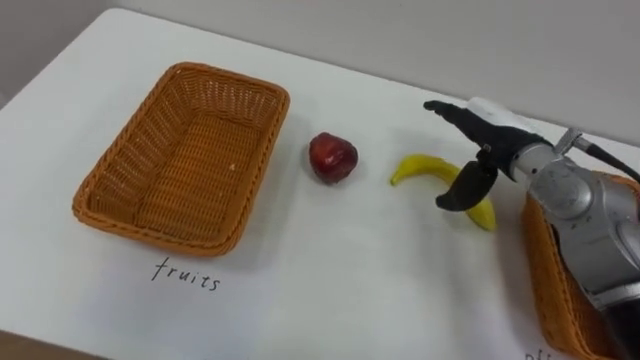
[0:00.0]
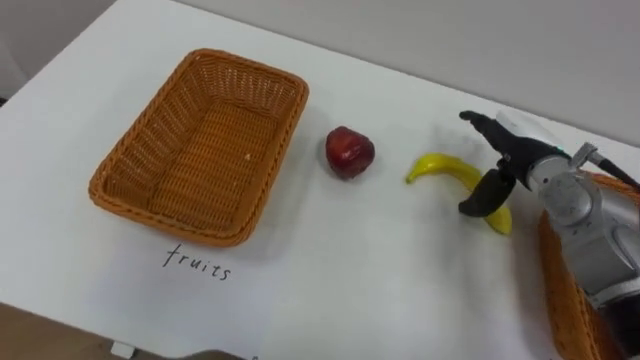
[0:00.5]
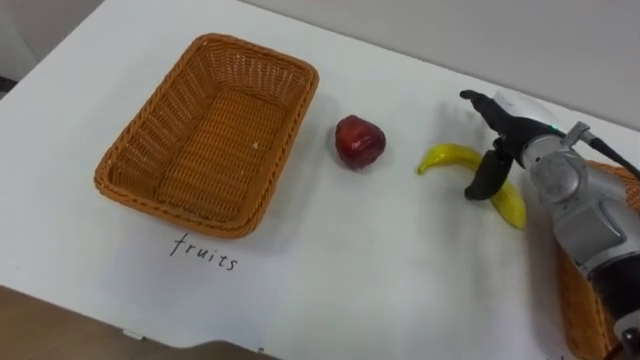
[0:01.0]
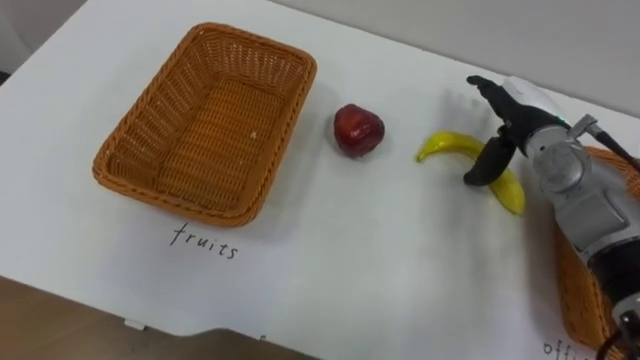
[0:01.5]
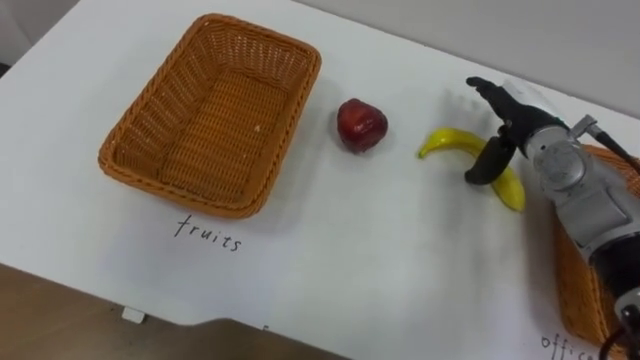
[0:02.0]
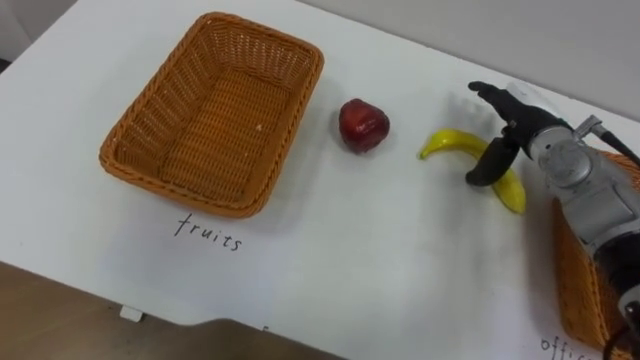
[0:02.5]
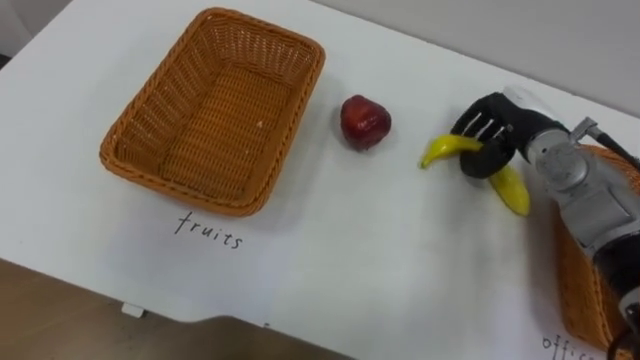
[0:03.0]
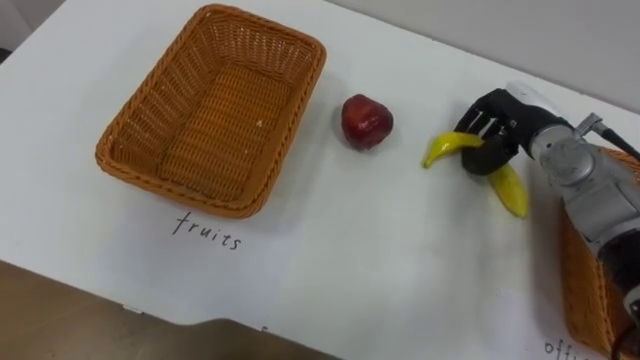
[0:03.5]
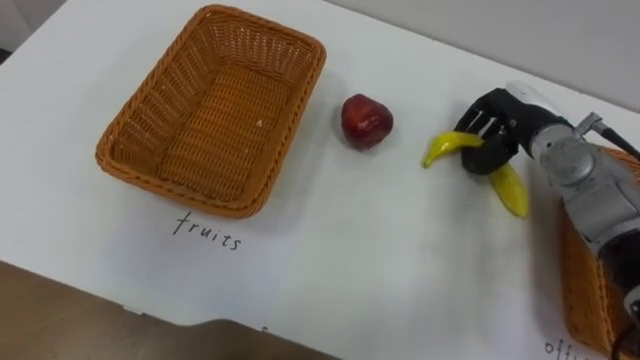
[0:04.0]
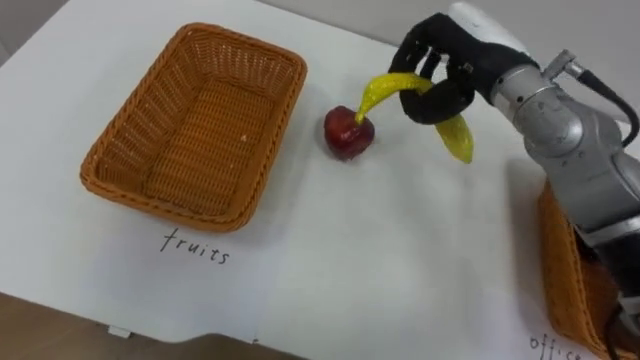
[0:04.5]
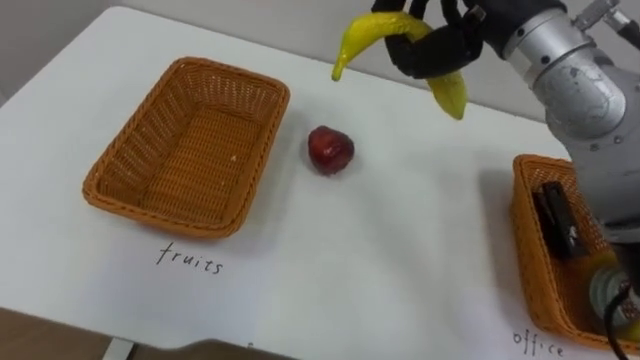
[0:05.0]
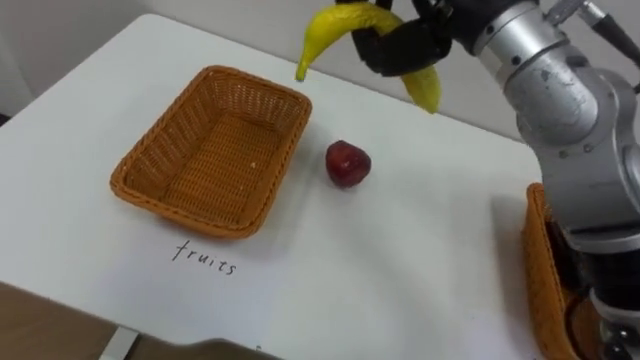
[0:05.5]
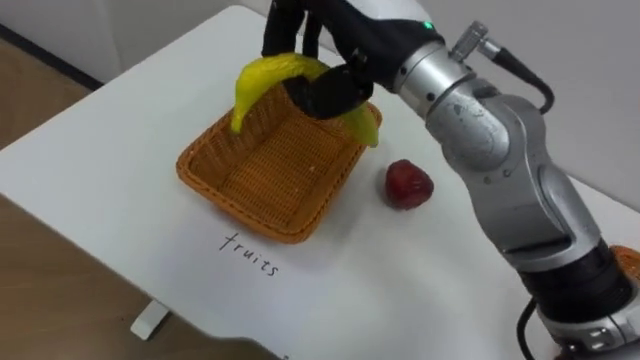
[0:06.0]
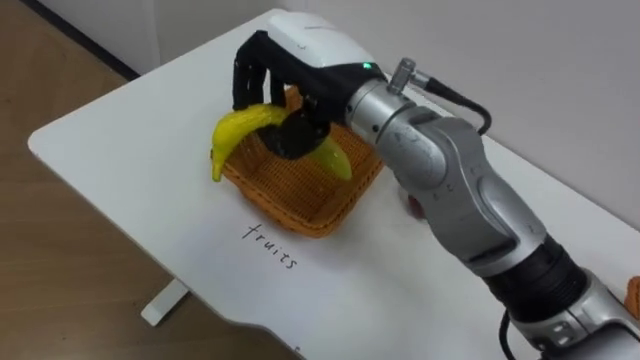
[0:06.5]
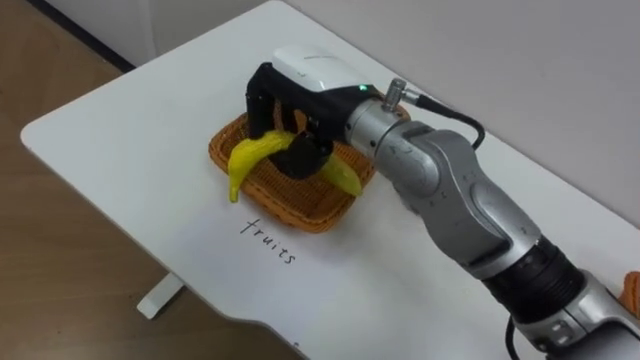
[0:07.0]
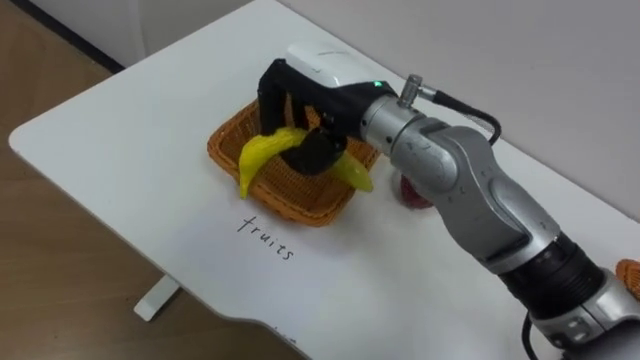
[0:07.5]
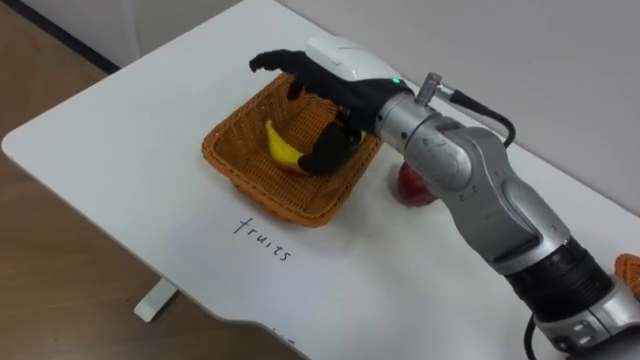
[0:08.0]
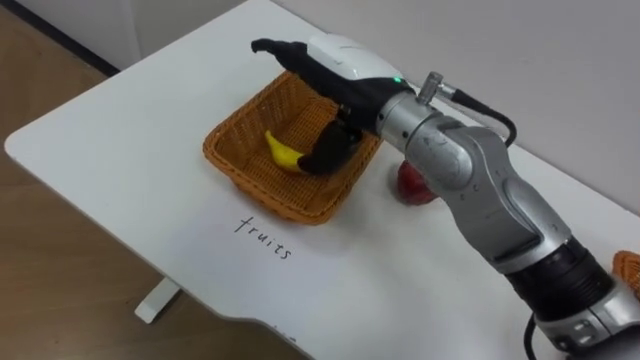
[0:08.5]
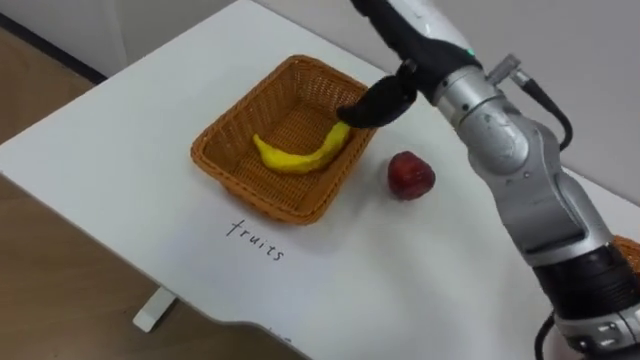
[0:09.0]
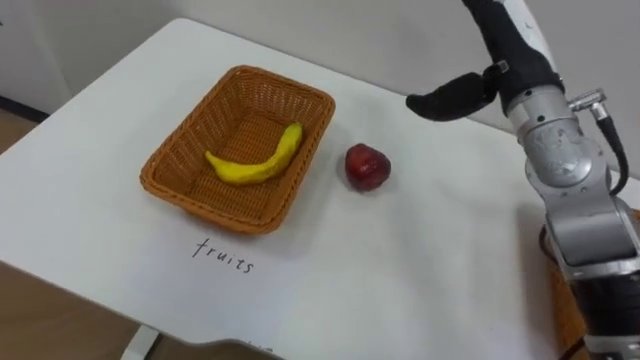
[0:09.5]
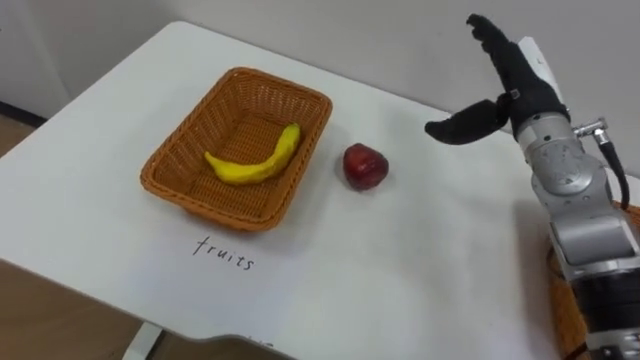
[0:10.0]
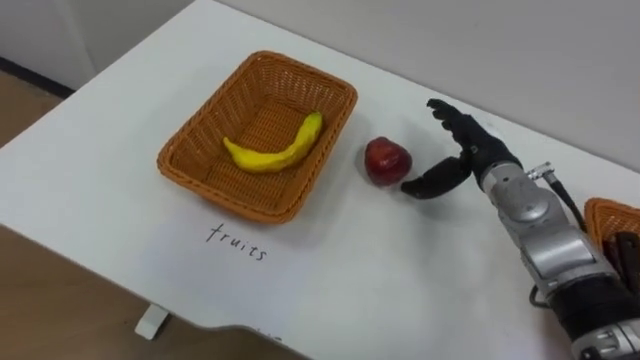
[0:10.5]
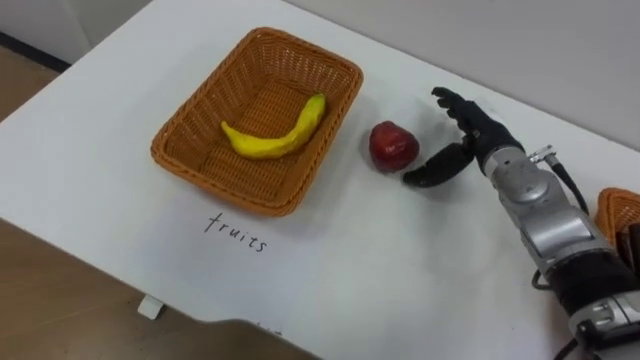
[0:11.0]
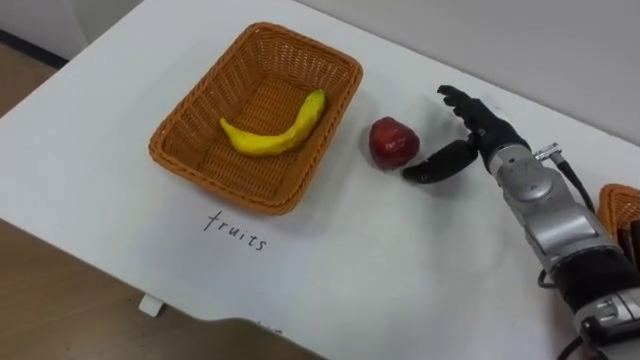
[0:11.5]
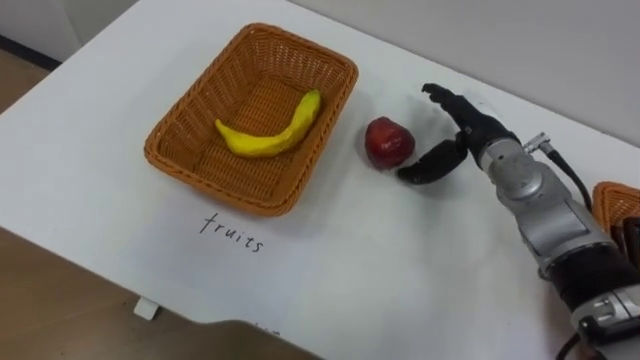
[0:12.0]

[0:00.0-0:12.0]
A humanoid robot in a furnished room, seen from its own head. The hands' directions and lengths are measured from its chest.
Task of the whole recording: Separate the items on the table and place them into the two baskets.
0:00.0 to 0:02.0: The right hand ends up roughly 5 cm from where it was.
0:02.0 to 0:04.0: The right hand closes up.
0:06.0 to 0:08.0: The right hand travels downward by some 5 cm, and opens up.
0:08.0 to 0:10.0: The right hand travels to the right by some 20 cm.
0:10.0 to 0:12.0: The right hand heads downward, covering about 5 cm.

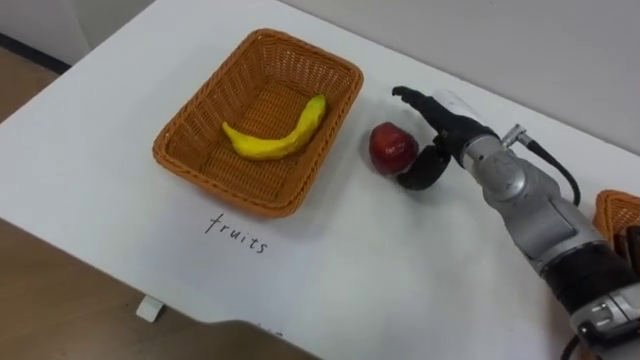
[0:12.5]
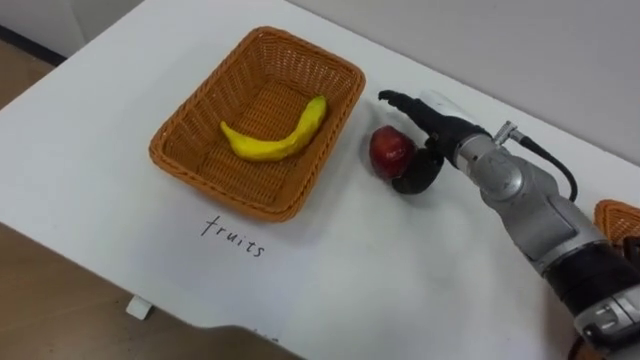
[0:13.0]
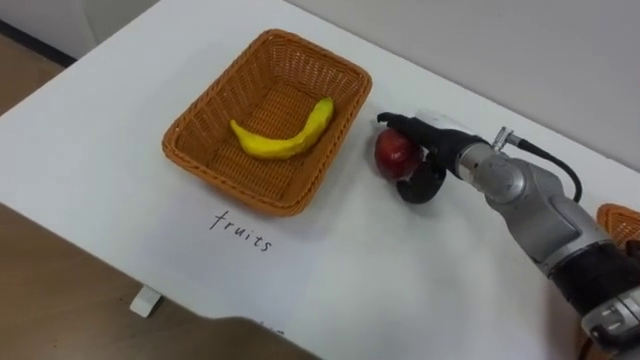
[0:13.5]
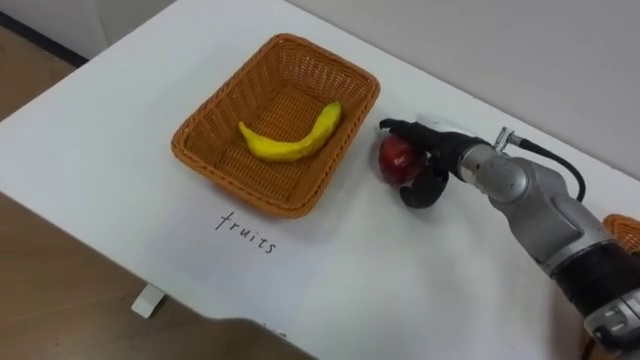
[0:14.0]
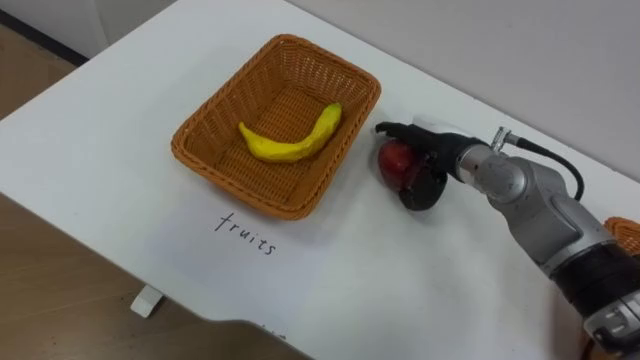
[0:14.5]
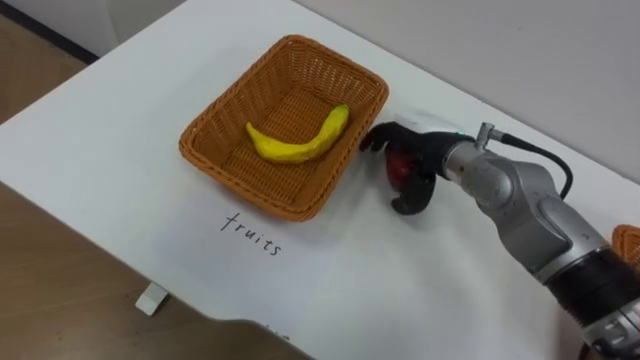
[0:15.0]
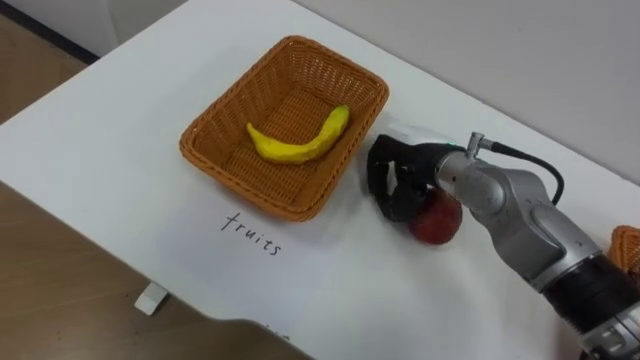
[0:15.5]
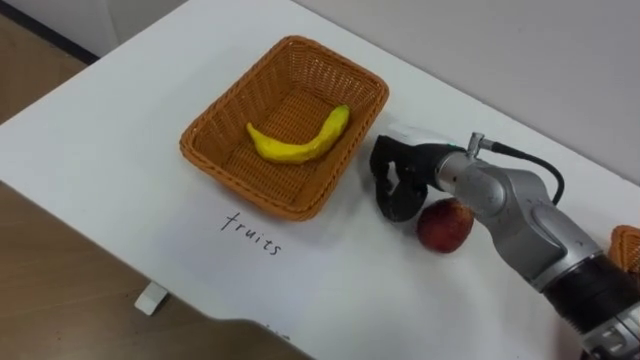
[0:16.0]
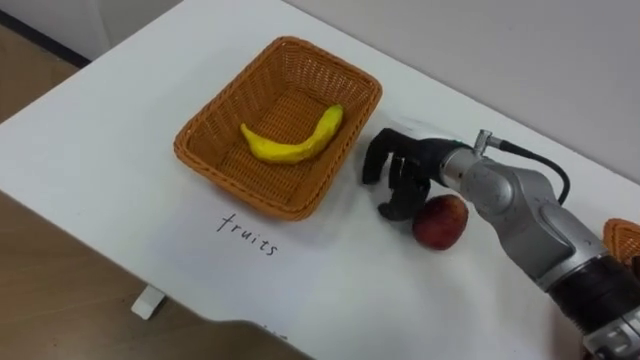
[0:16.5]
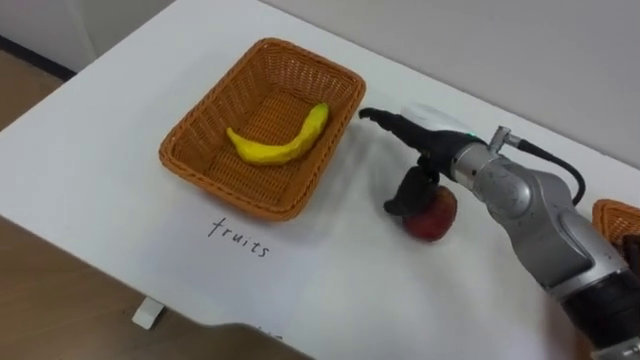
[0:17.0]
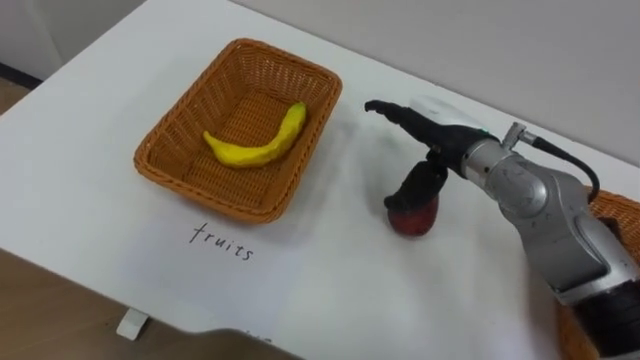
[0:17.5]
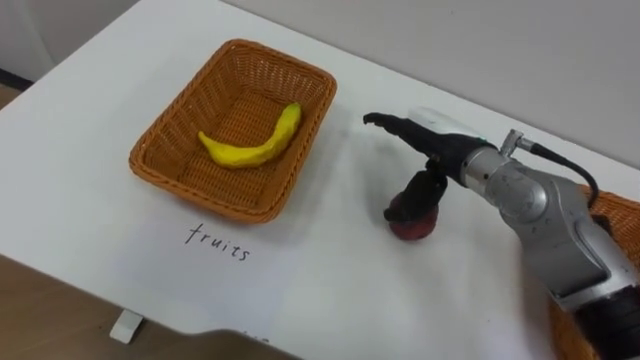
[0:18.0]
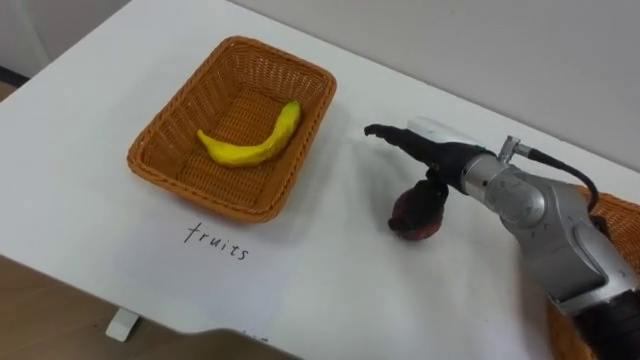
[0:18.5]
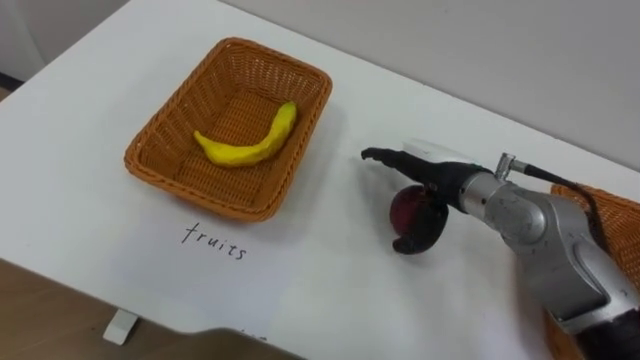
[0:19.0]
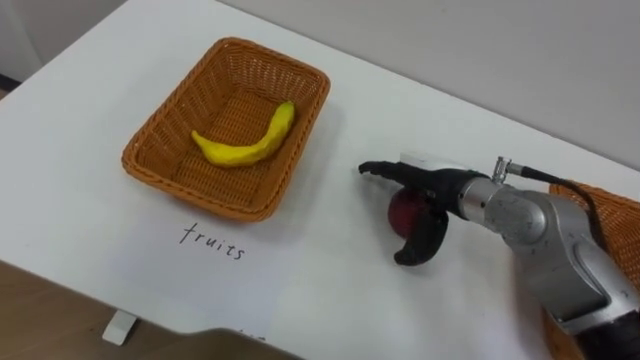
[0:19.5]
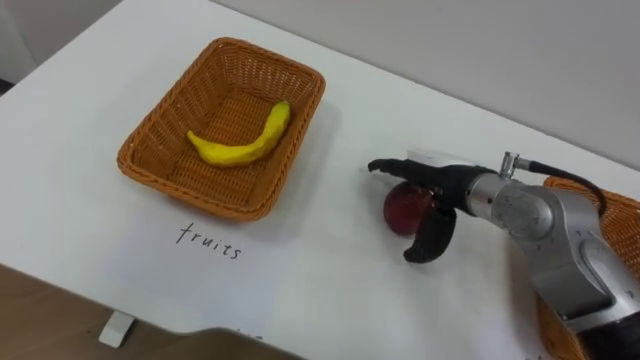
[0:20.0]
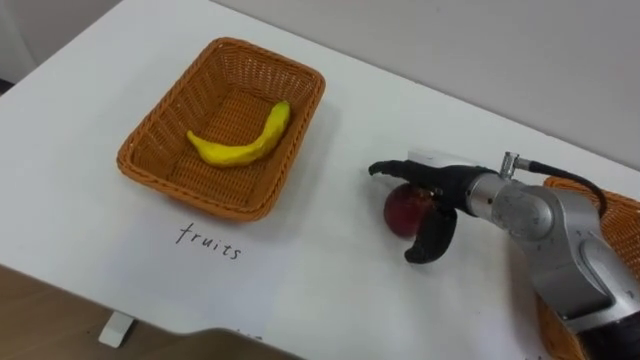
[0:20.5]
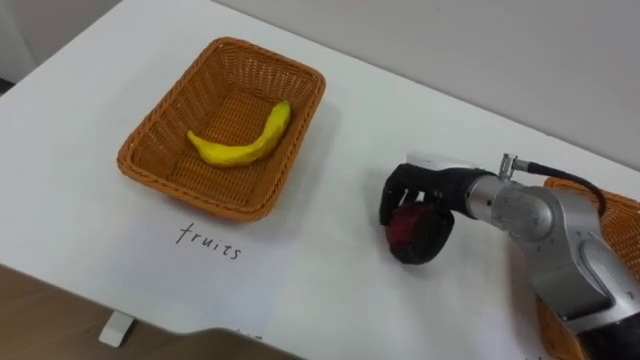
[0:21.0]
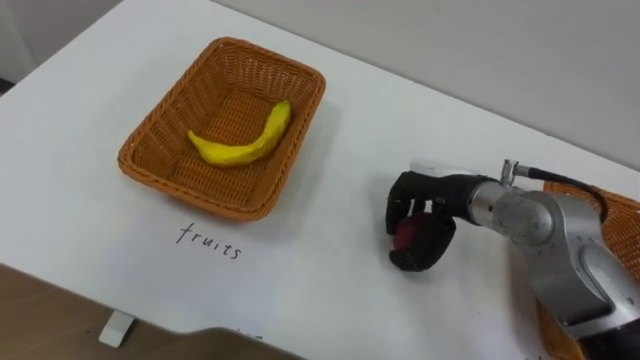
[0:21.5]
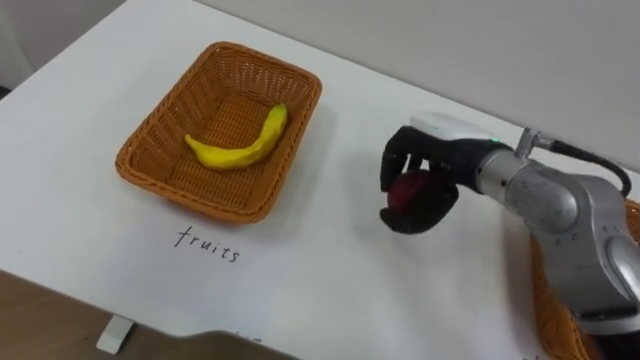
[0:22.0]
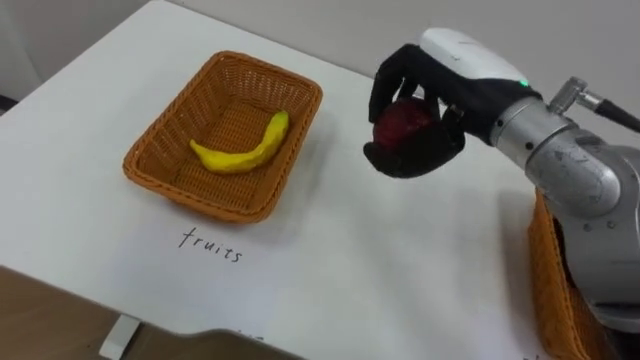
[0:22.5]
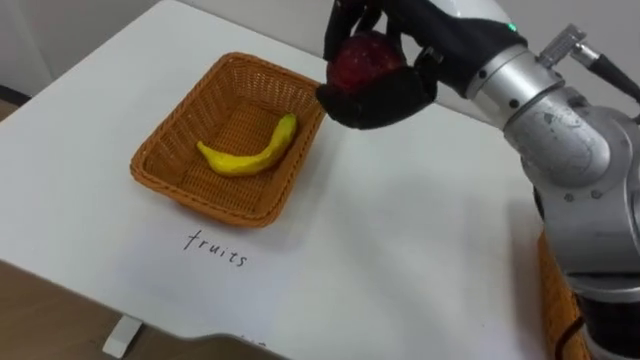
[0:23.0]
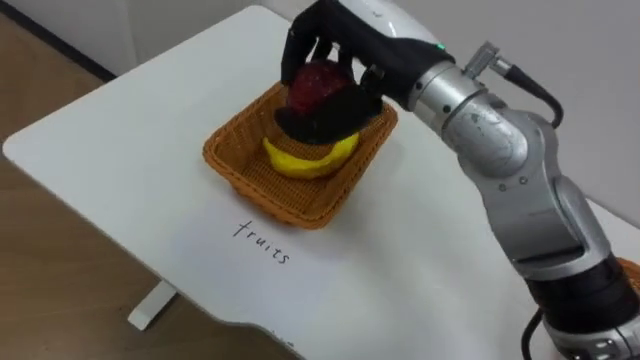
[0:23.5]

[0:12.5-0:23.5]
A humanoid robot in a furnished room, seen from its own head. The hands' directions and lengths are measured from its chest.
Task of the whole recording: Separate the items on the table and place them into the two baskets.
0:14.5 to 0:16.0: The right hand closes its fingers.
0:16.0 to 0:18.0: The right hand opens its fingers.
0:20.0 to 0:21.5: The right hand closes.
0:21.5 to 0:23.5: The right hand travels upward and to the left by roughly 20 cm.
